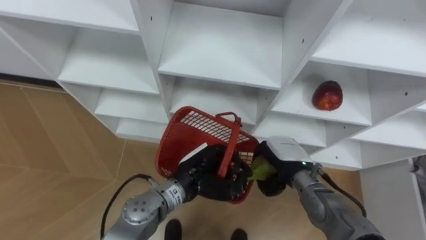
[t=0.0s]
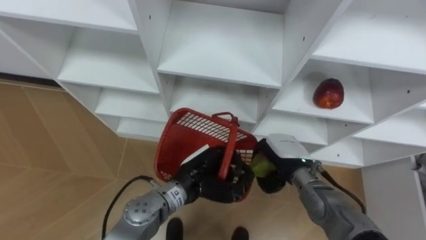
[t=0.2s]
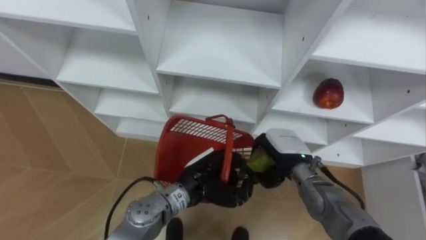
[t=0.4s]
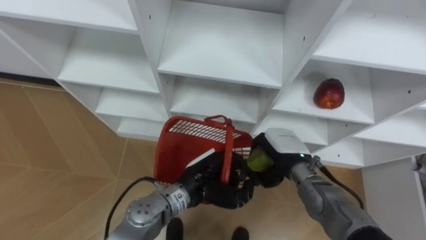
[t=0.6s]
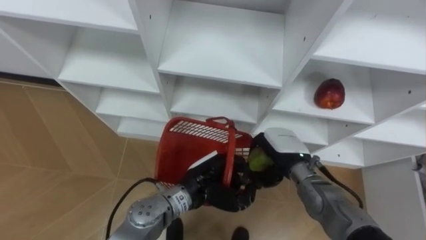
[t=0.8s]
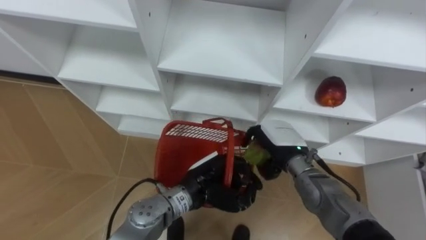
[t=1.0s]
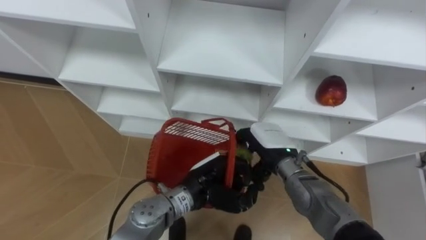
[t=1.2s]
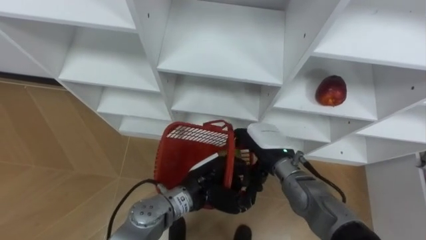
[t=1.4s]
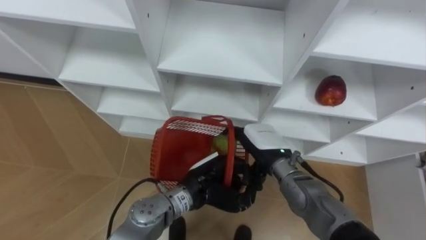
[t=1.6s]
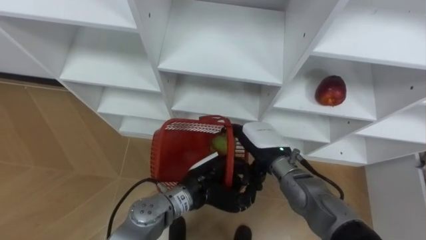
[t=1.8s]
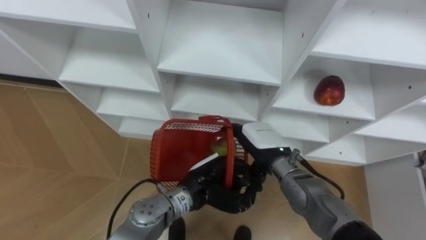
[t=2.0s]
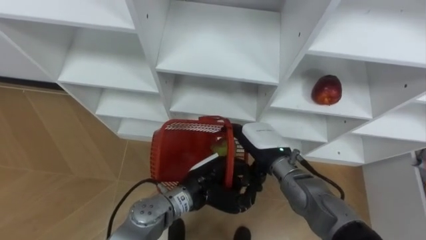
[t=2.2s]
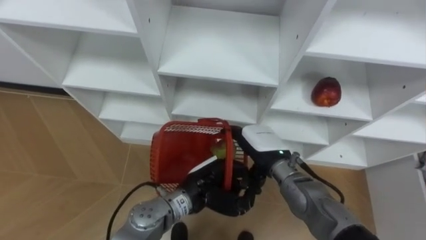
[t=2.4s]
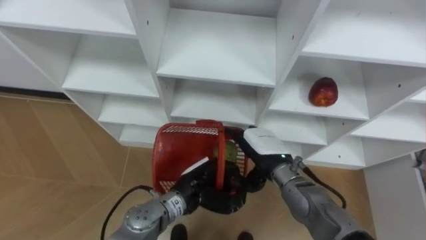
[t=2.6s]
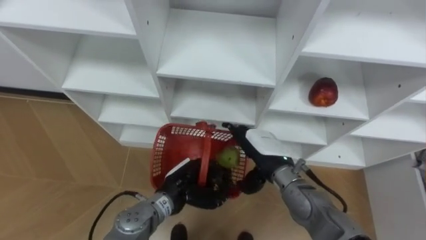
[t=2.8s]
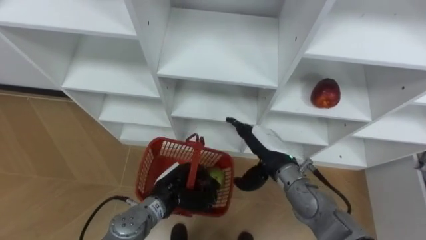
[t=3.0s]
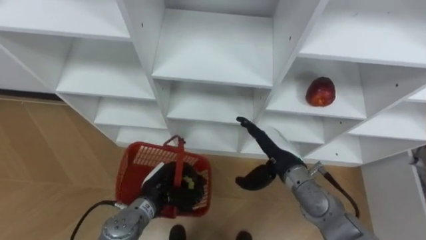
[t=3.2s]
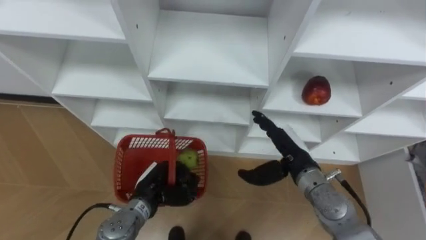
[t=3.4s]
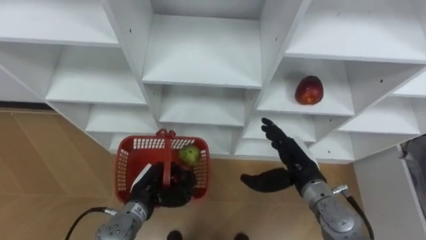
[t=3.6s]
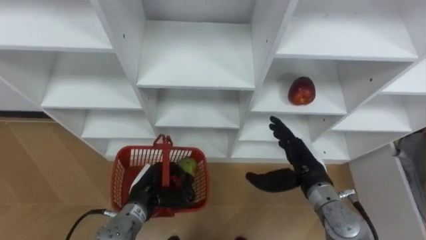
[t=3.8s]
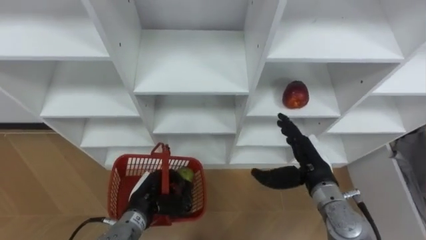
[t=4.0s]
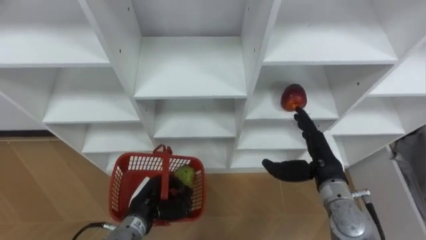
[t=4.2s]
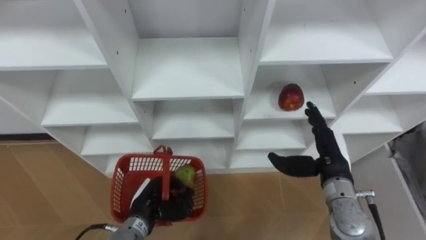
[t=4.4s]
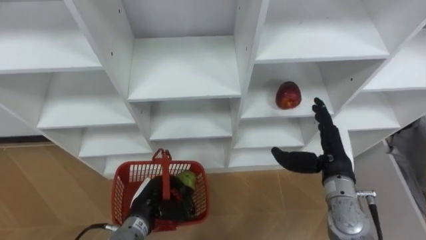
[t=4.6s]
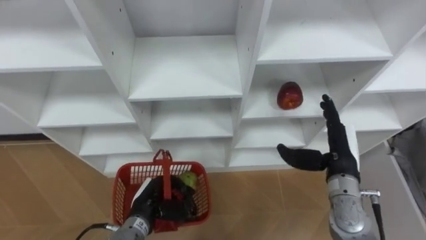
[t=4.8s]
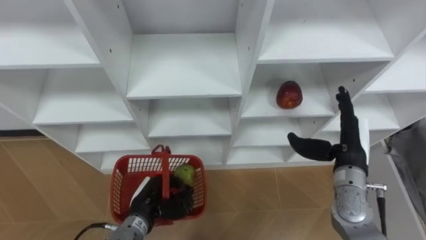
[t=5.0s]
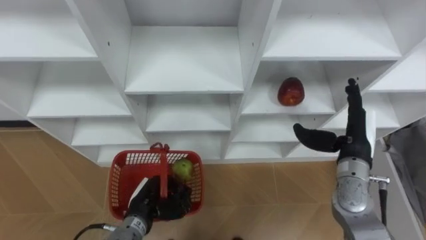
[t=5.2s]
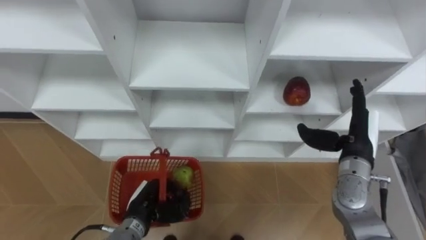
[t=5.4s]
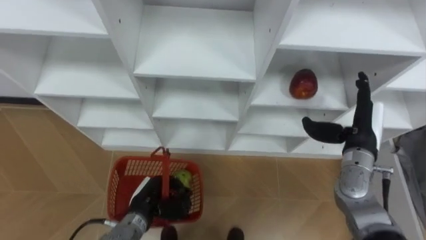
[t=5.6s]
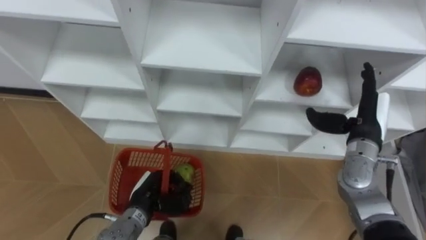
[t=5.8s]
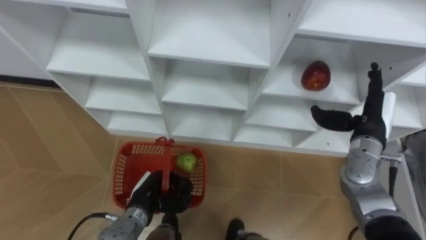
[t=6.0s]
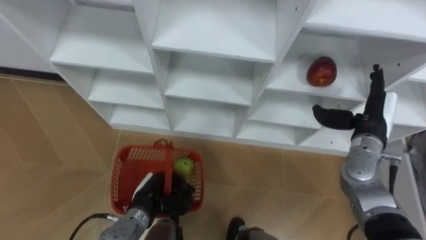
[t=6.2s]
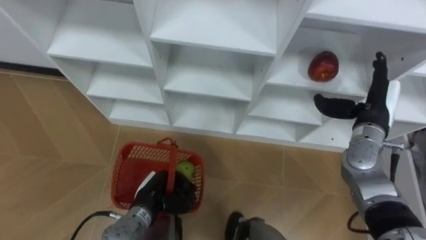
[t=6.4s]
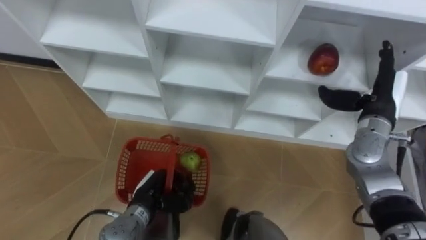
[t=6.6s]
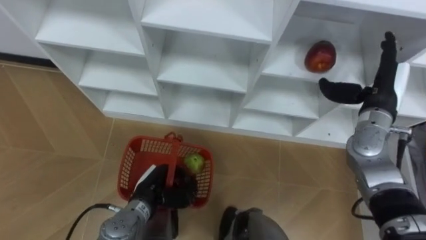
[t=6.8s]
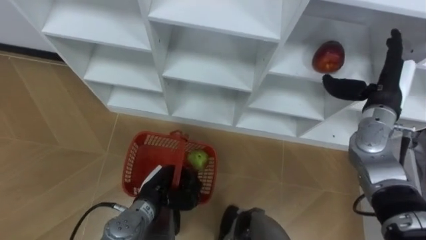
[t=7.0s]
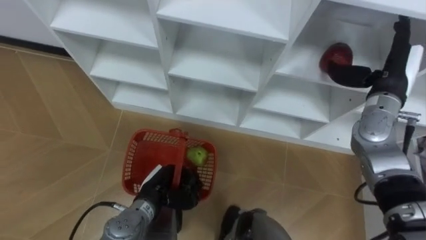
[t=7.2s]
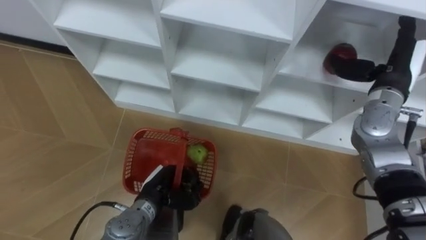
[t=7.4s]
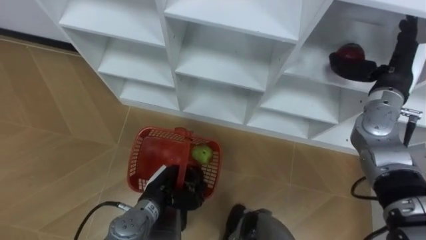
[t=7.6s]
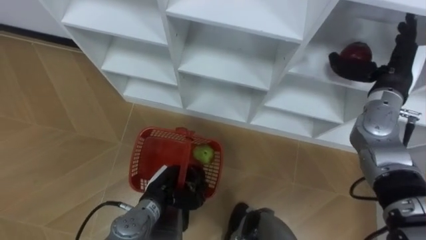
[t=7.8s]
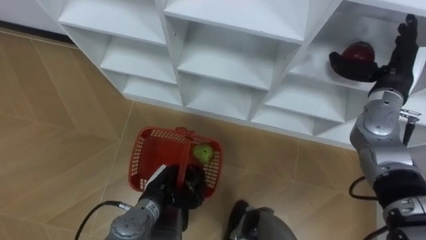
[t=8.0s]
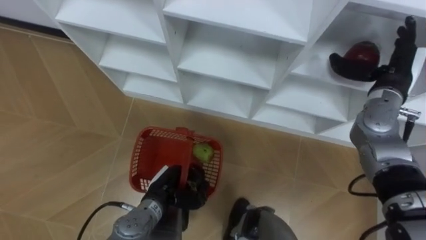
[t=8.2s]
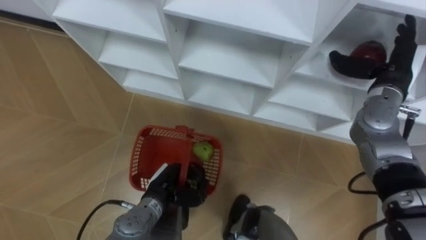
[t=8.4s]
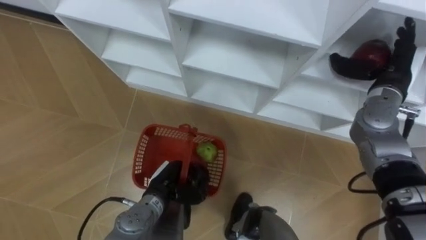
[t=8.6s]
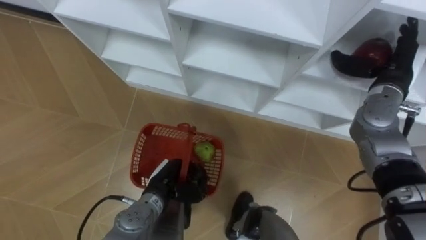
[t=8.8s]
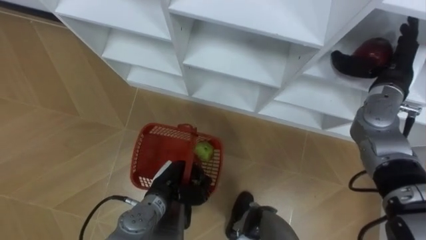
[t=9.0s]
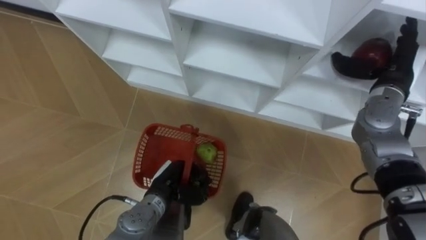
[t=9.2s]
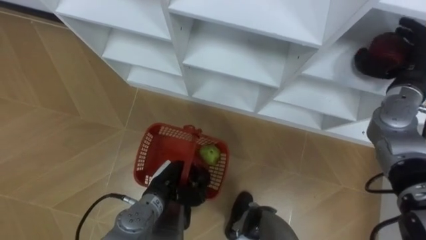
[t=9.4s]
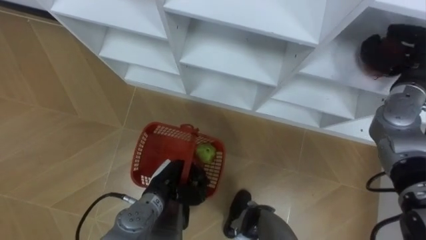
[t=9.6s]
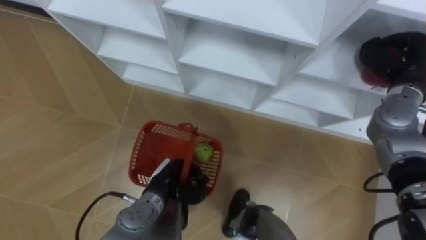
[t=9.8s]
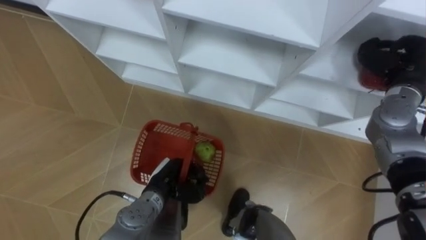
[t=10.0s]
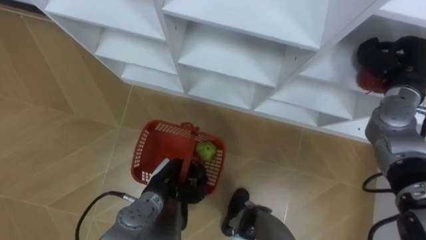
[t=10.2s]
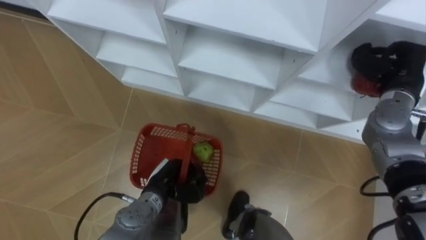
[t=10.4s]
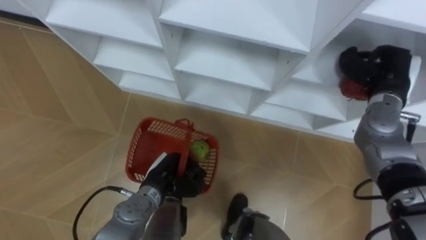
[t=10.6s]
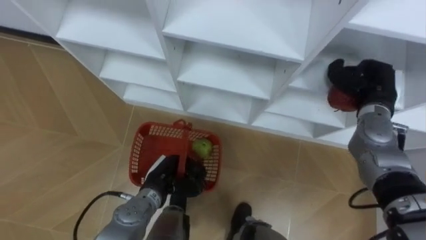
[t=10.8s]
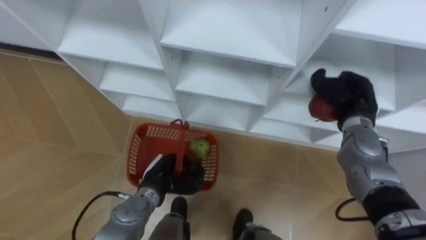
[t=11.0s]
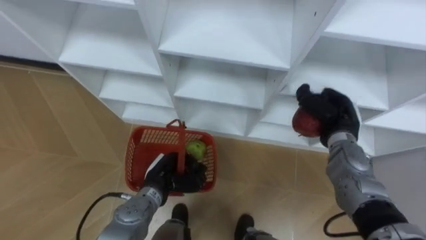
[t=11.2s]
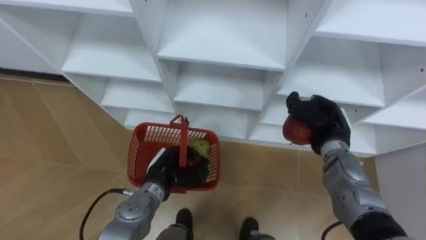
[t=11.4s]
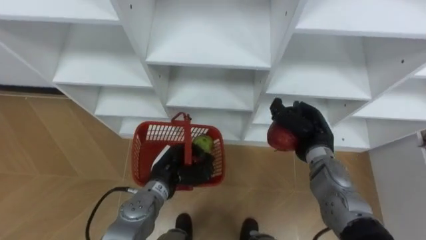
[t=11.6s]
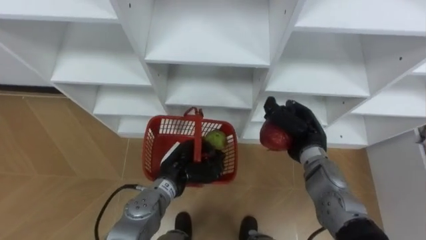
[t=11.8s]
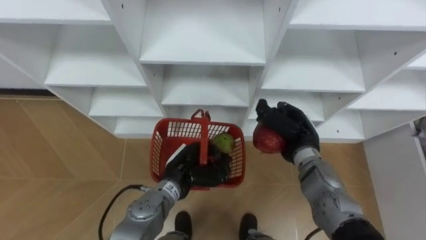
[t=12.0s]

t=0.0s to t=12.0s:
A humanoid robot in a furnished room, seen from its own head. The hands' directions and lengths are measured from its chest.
Task of the whole recording: Hold the basket and collect the fruits from 3 different cells of the closet into it.
t=0.0s to t=1.6s: The right hand changes place by roughly 5 cm, and opens its fingers.
t=1.6s to t=3.0s: The left hand goes approximately 10 cm to the left and downward.
t=3.0s to t=4.4s: The left hand heads to the left, covering about 5 cm. Meanwhile the right hand travels to the right by about 10 cm.
t=4.4s to t=6.0s: The right hand shifts about 10 cm to the right and forward.
t=6.0s to t=7.6s: The right hand is displaced upward by roughly 10 cm.
t=9.0s to t=10.4s: The right hand closes.
t=10.4s to t=12.0s: The right hand moves to the left and downward, roughly 20 cm. The left hand changes place by roughly 5 cm.

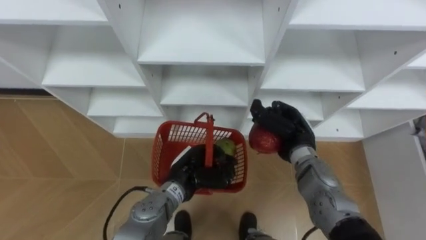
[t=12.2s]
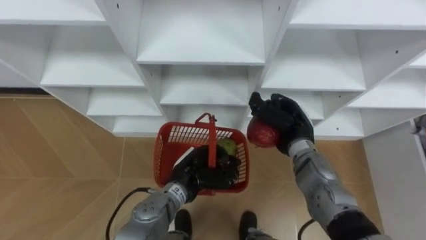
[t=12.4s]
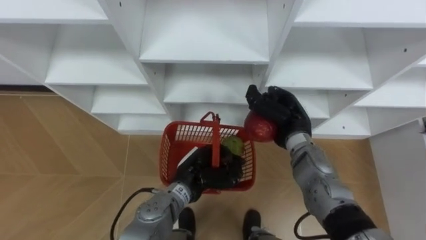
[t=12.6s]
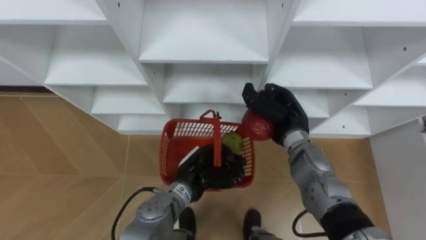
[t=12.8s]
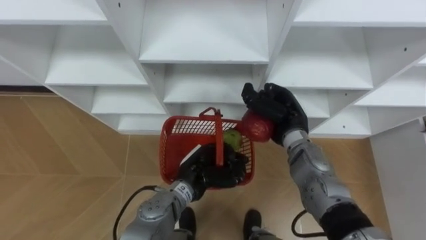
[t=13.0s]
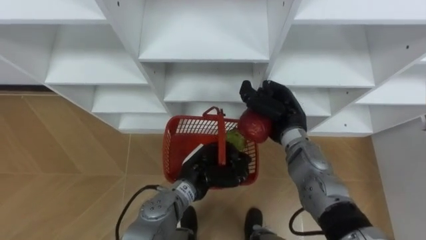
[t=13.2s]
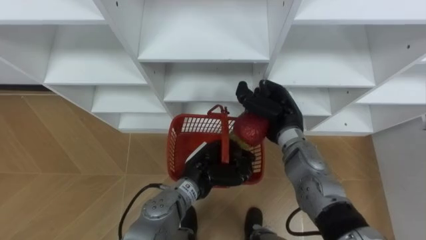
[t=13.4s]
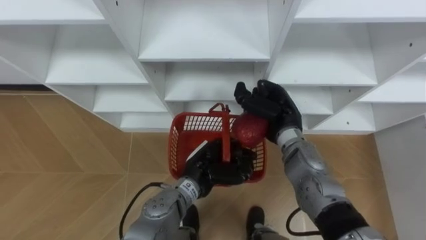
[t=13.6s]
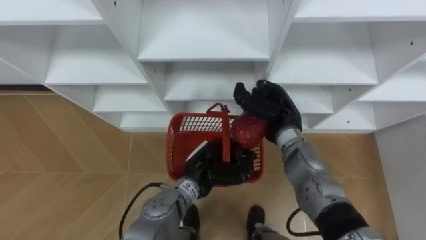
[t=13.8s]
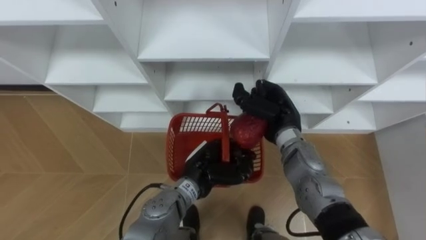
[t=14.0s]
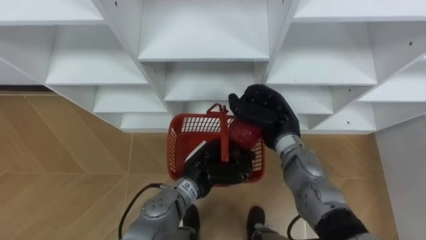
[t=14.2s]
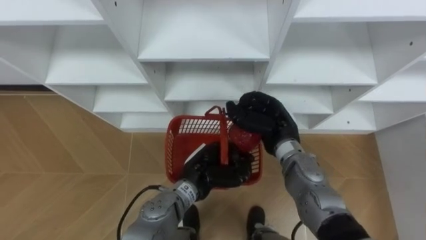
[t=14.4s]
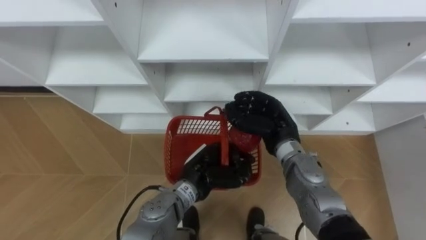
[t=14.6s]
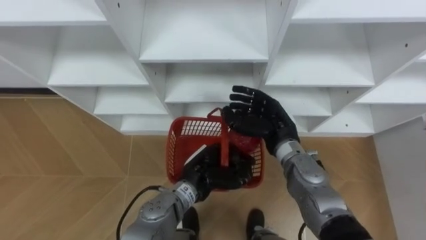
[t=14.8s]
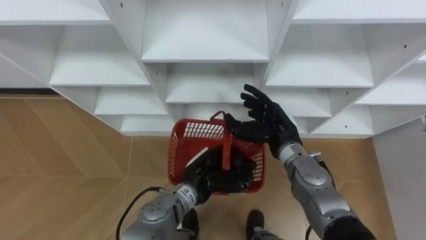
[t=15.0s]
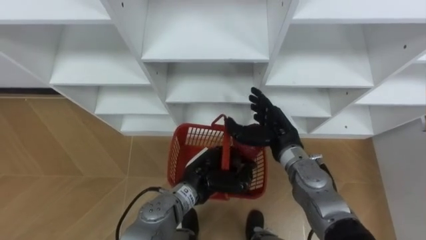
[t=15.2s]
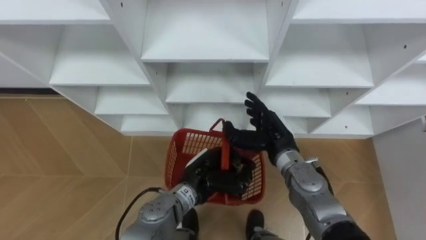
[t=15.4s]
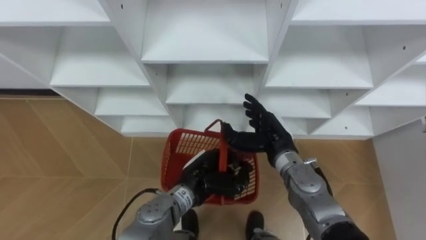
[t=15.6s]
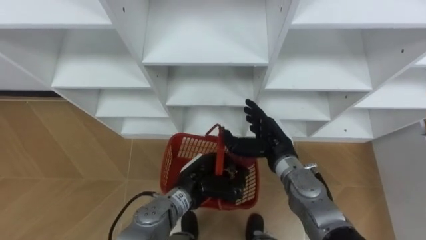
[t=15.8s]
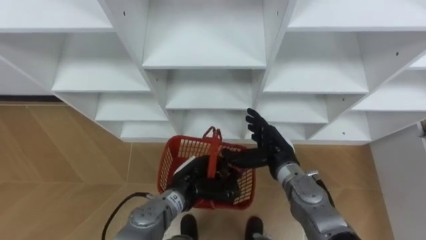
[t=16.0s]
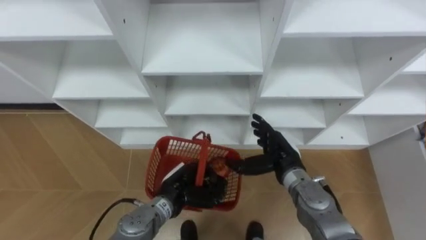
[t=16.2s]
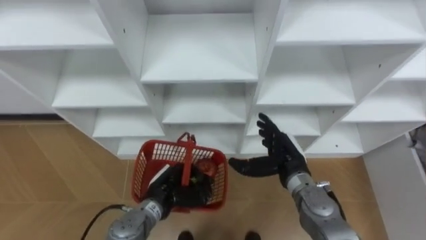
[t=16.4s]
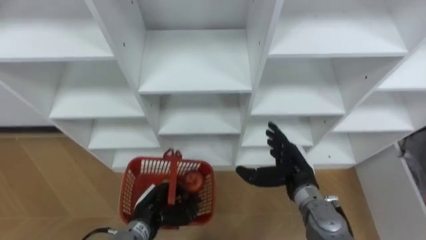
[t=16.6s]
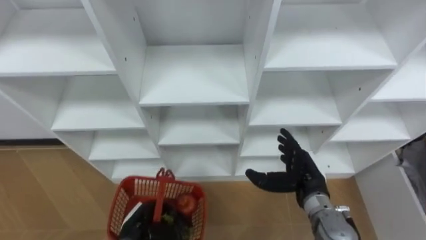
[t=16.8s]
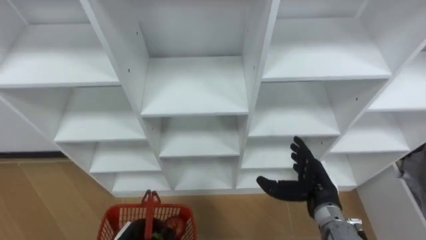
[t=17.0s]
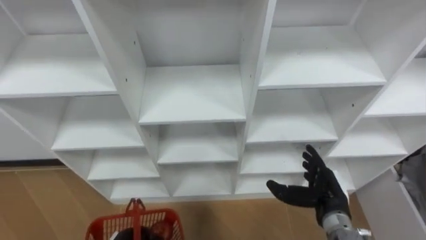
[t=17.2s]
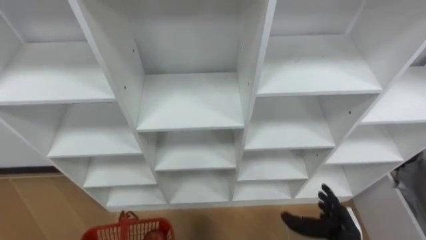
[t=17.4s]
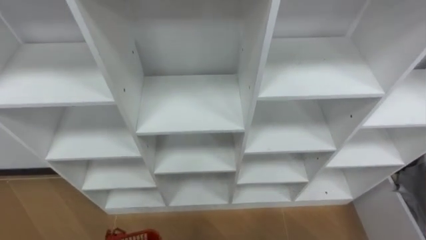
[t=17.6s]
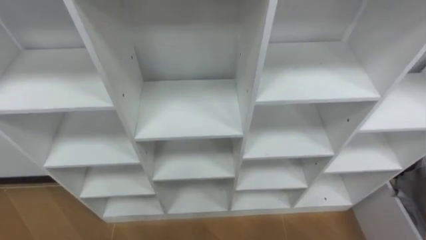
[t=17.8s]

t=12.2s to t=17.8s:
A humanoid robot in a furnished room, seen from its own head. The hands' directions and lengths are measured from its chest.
Task of the whole recording: Hold the basket and collect the fruits from 3 different cells of the closet into it.
t=12.2s to t=13.6s: The right hand ends up about 5 cm from where it was.
t=13.6s to t=15.0s: The right hand opens its fingers.
t=15.0s to t=16.4s: The right hand ends up some 5 cm from where it was, while the left hand travels to the left by approximately 10 cm.
